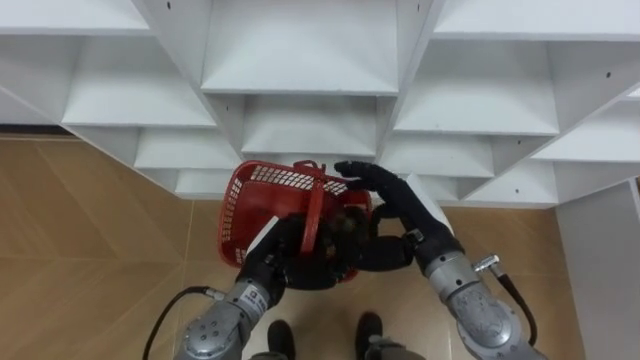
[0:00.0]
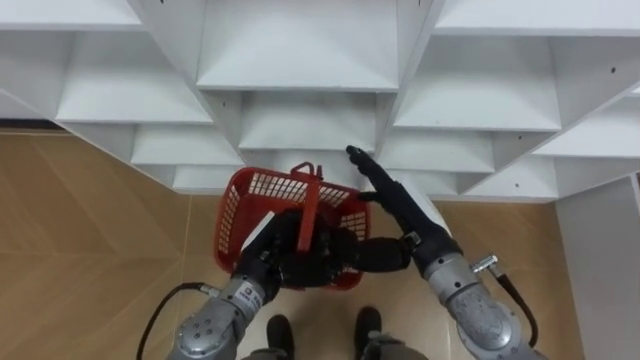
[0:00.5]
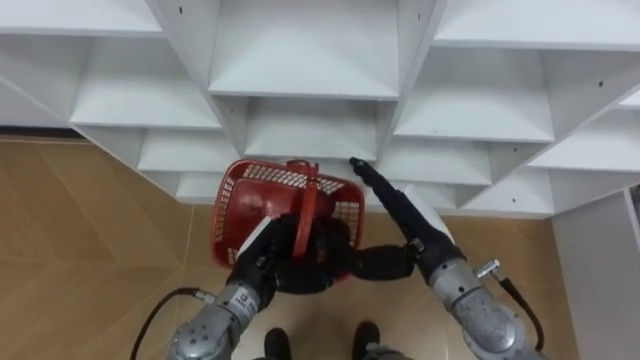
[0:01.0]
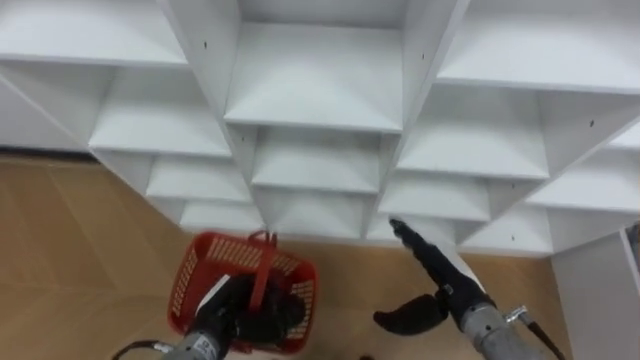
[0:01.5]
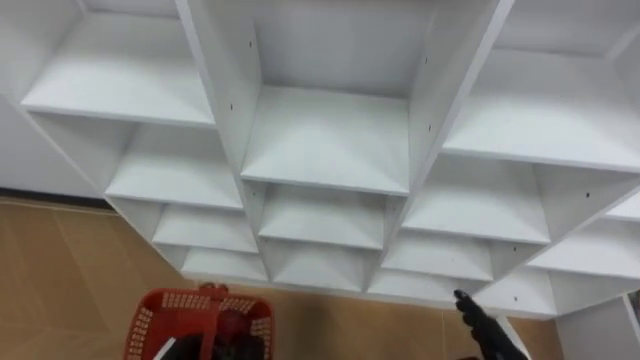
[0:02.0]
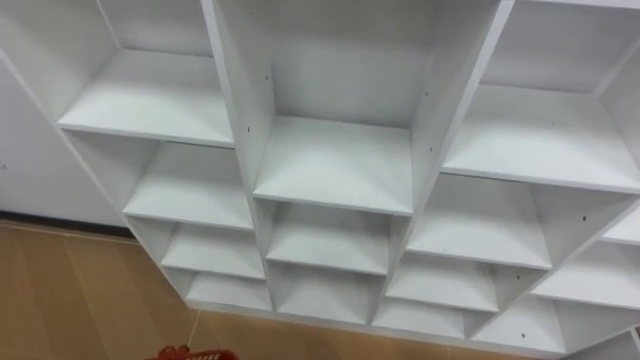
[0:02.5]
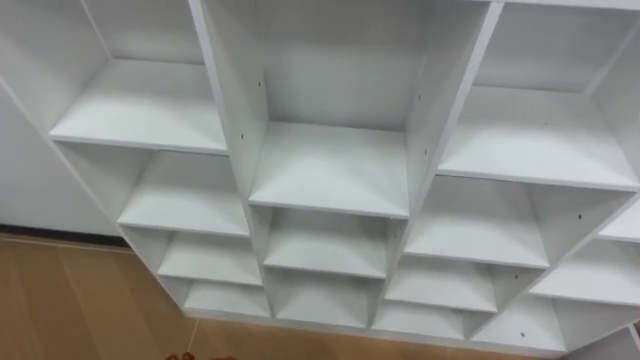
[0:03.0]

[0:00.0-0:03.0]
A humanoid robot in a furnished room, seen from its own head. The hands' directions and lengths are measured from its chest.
Task of the whole recording: Hold the basket and collect the fruits from 3 different cells of the closet into it.
0:00.0 to 0:01.5: The left hand goes approximately 10 cm to the left and downward; the right hand shifts about 10 cm downward and to the right, and opens.

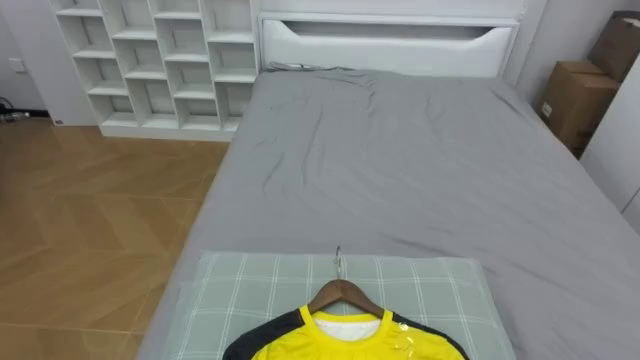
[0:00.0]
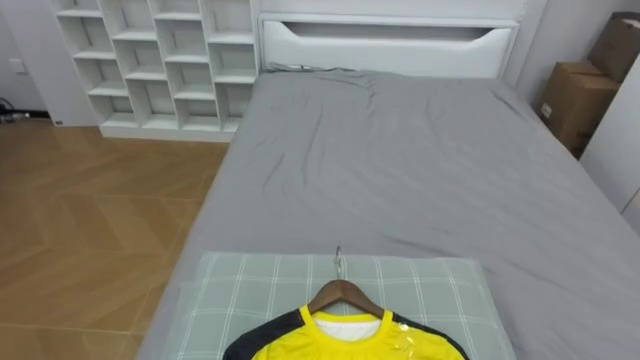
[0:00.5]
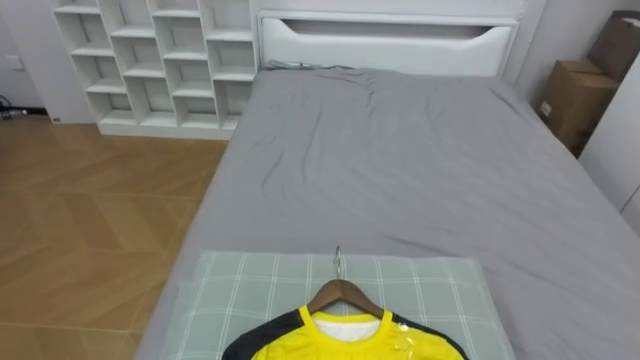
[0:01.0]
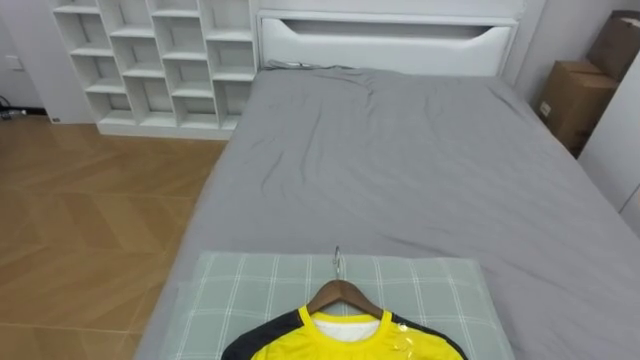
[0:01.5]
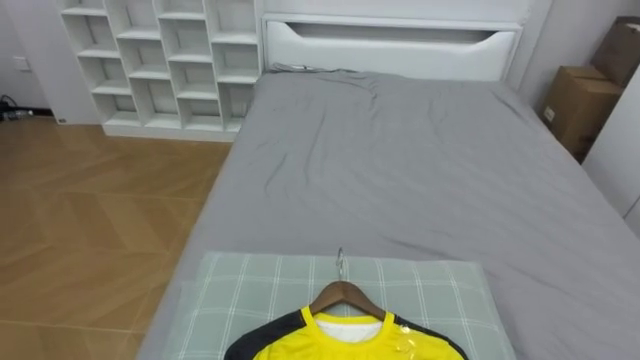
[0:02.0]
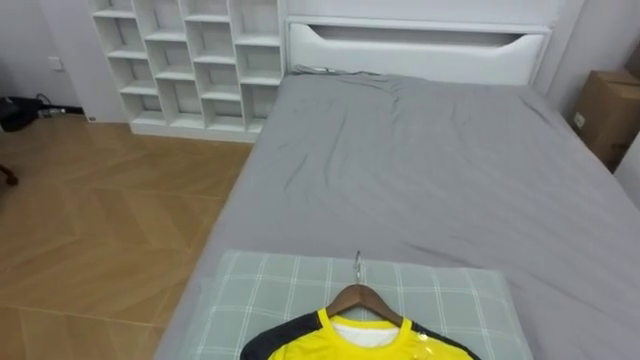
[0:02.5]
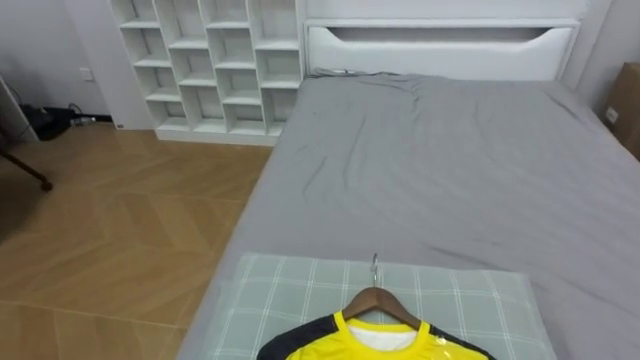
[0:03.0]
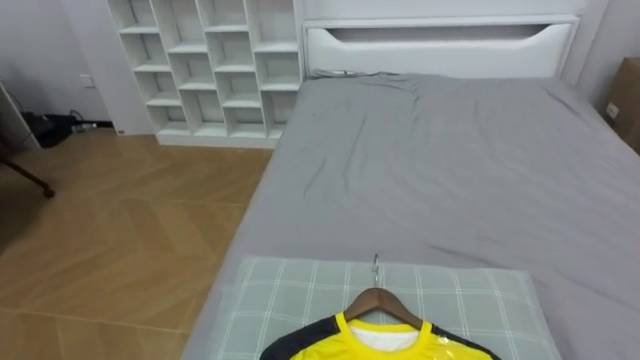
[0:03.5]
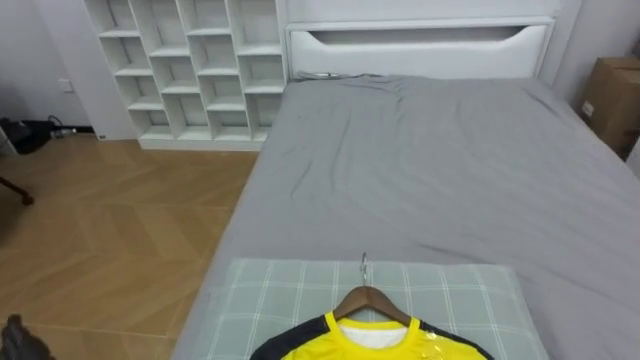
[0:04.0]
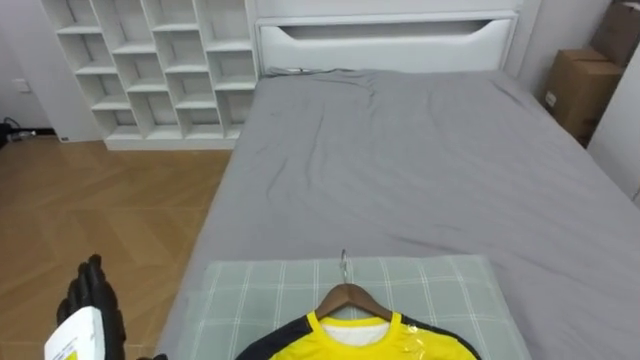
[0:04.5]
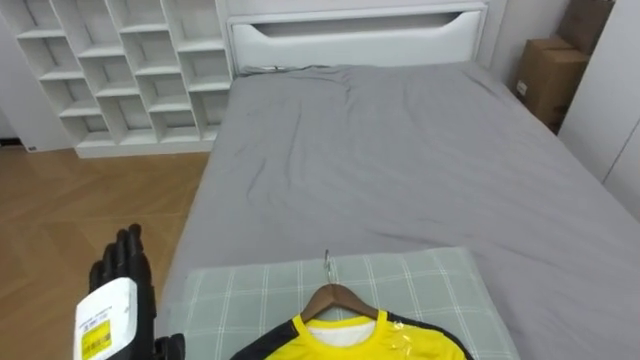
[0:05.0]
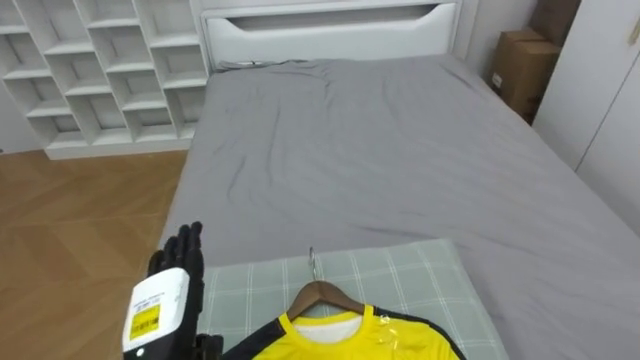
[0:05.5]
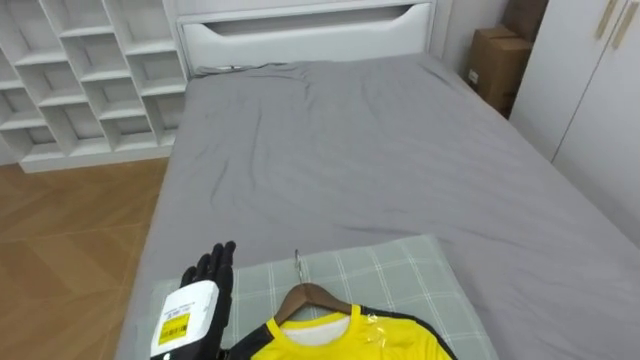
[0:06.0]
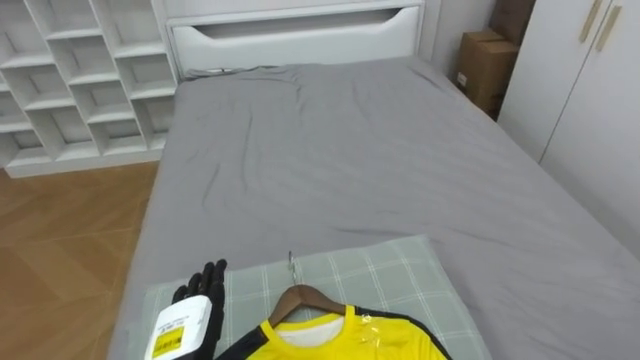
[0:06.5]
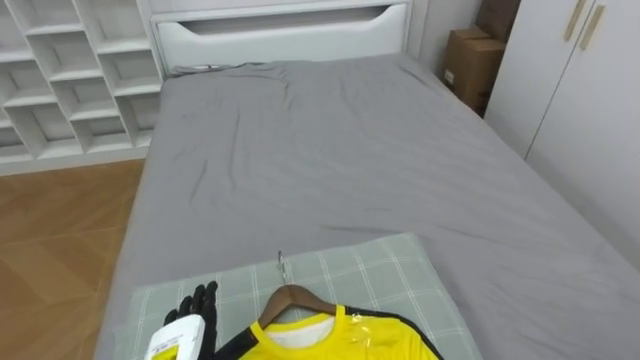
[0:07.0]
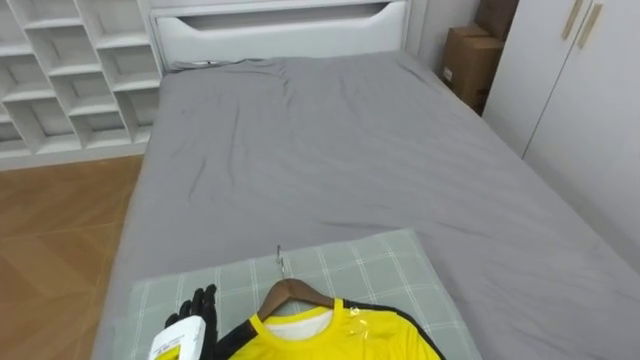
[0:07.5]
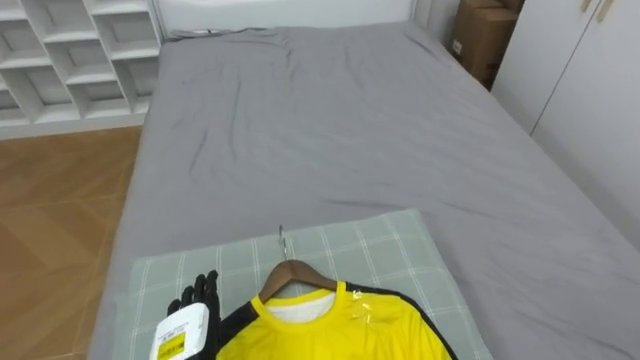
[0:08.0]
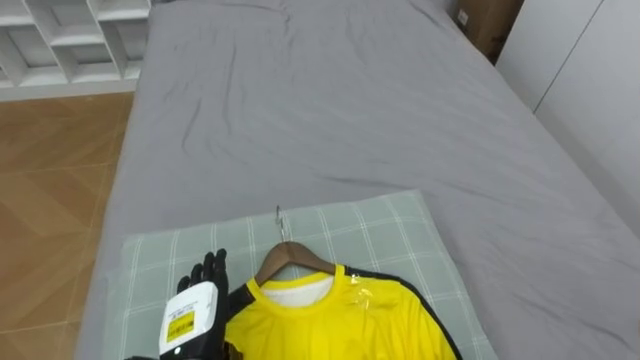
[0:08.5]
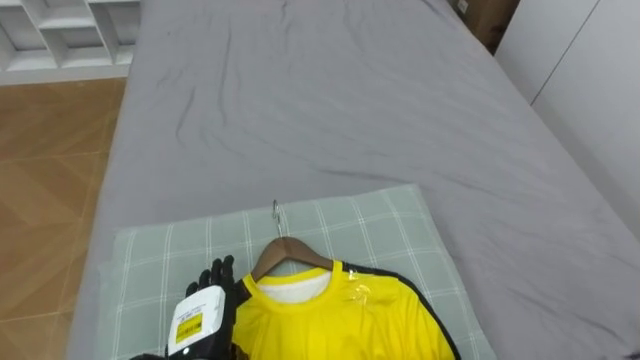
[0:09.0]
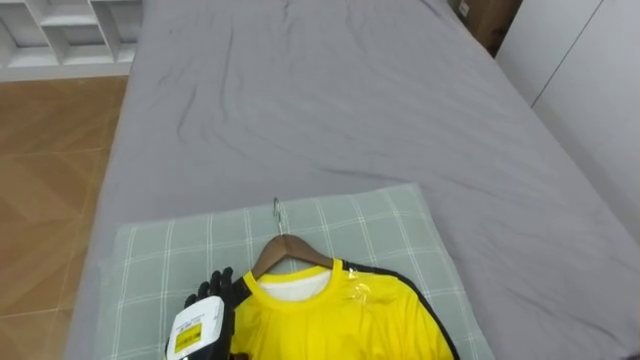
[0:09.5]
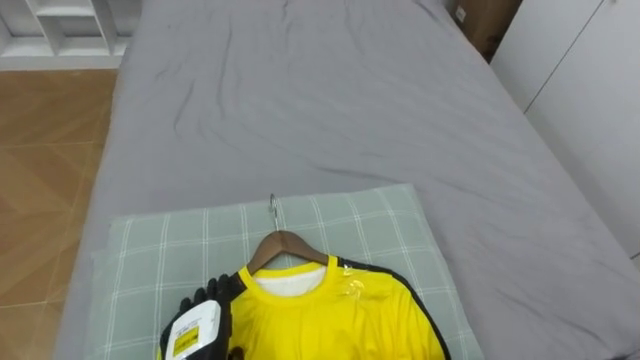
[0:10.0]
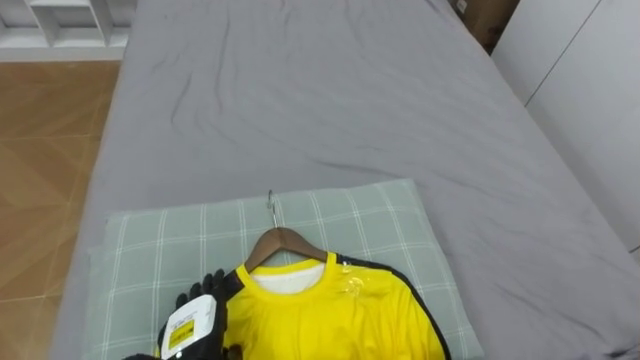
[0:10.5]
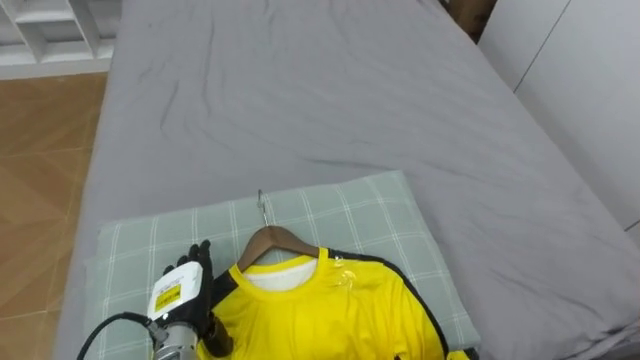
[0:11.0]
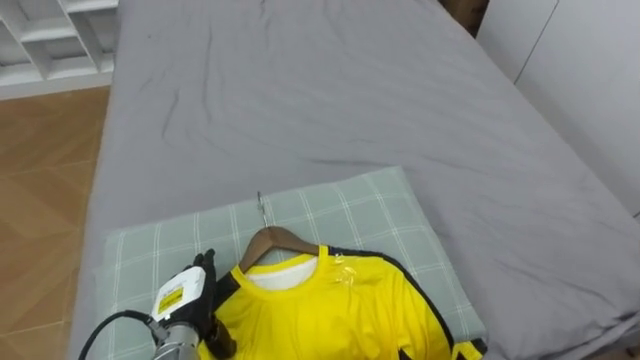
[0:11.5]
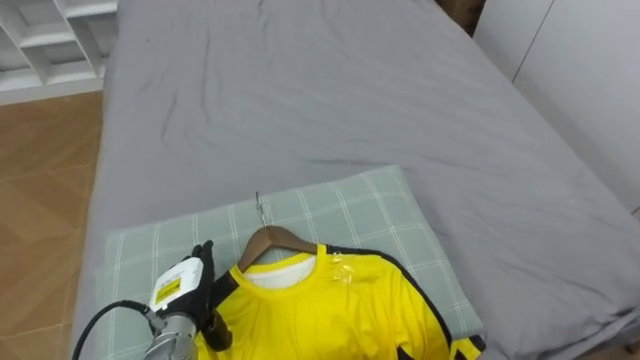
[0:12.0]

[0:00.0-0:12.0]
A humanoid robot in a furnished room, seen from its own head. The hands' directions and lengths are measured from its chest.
Task of the whole recording: Pick up the yellow shirt on the bed and hang it on the clothes rack on the right.
0:10.0 to 0:12.0: The left hand moves forward, about 5 cm.

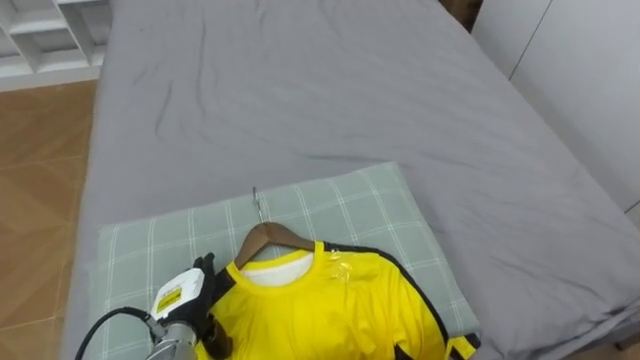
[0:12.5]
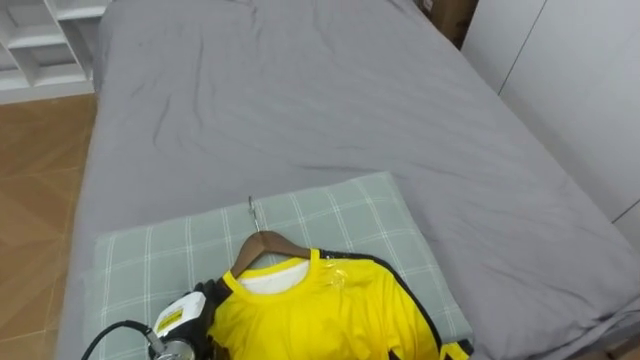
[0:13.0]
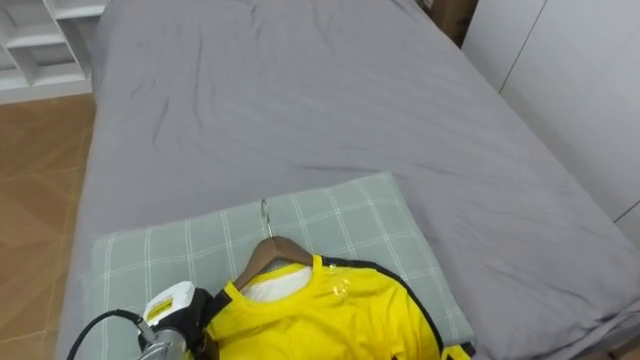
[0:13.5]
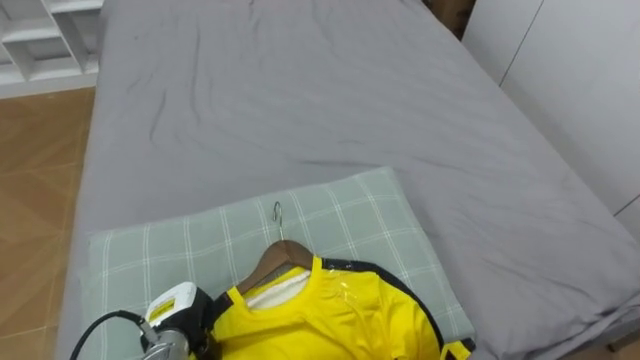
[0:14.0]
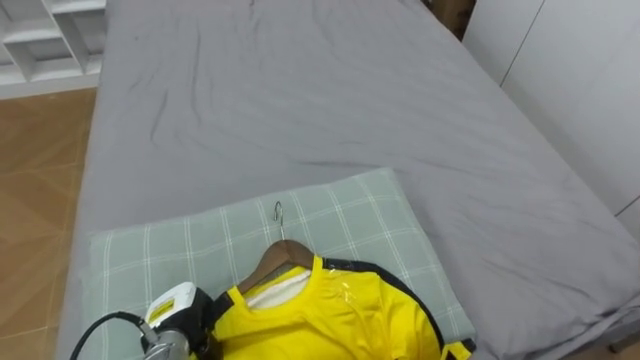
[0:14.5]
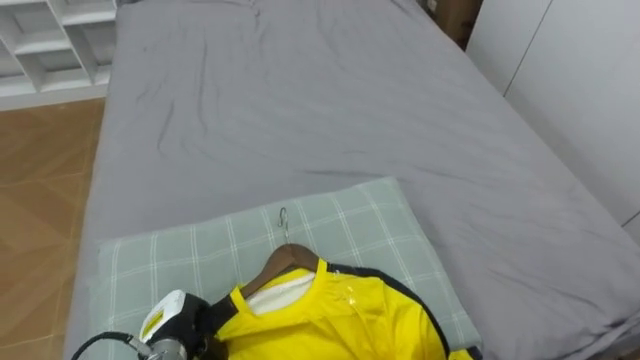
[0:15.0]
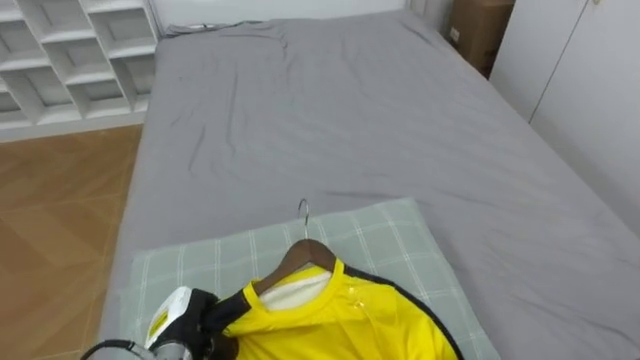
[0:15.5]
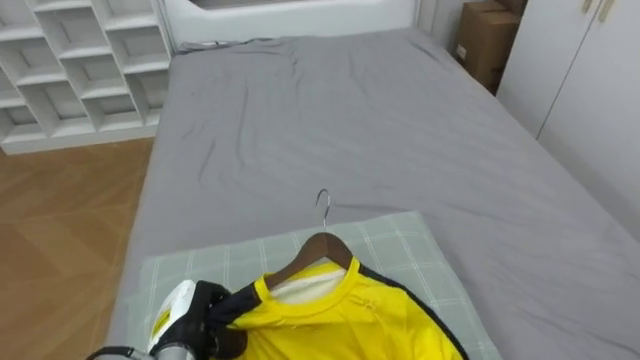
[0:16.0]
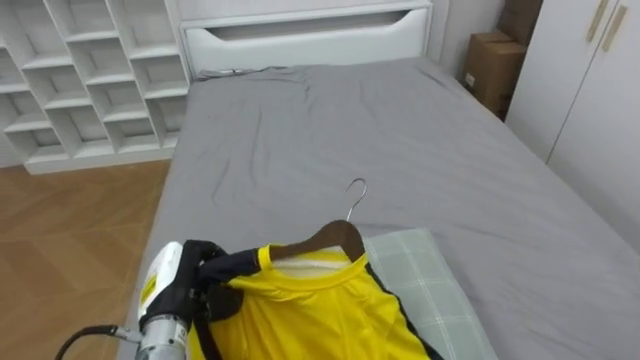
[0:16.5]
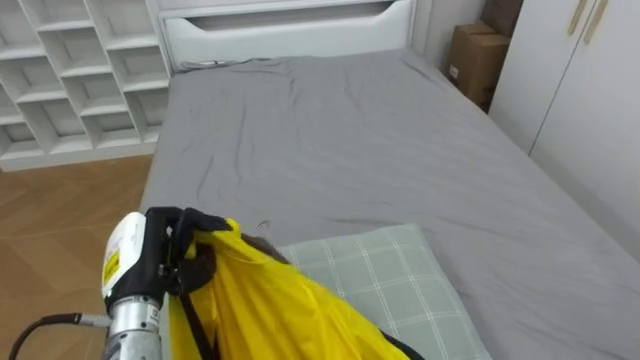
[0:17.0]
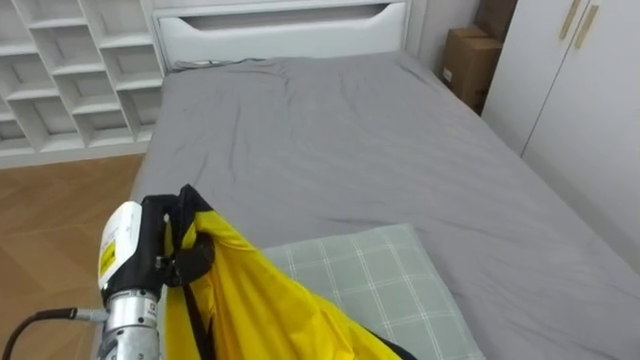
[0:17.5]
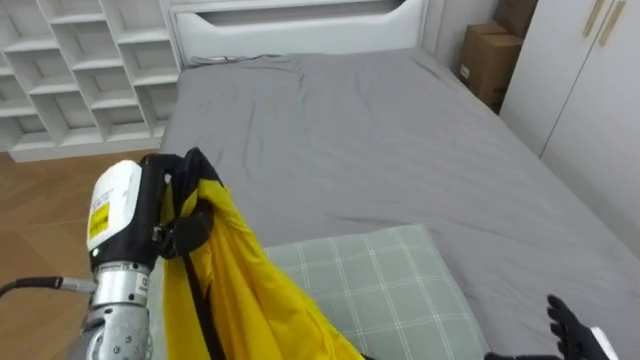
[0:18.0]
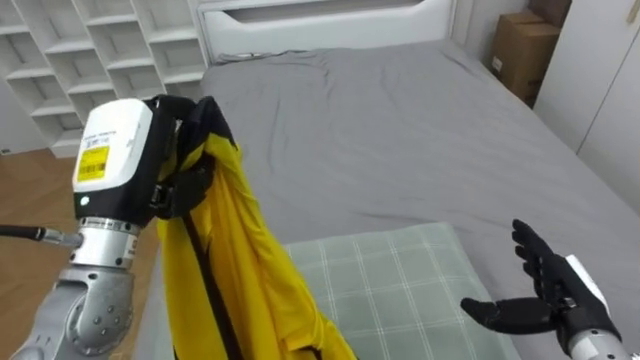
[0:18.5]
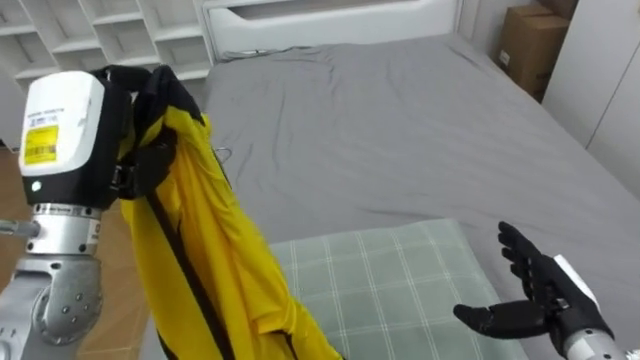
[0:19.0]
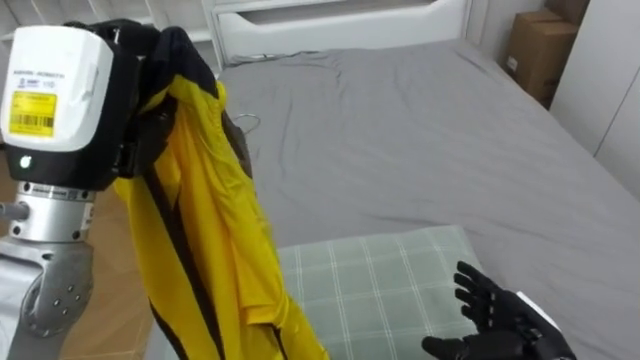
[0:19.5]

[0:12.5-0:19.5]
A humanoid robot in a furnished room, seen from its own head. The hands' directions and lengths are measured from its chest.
Task of the whole recording: Pick up the yellow shirt on the bed and hang it on the clothes rack on the right.
0:12.5 to 0:14.5: The left hand closes.
0:16.0 to 0:17.5: The left hand heads upward, covering approximately 15 cm.
0:17.5 to 0:19.5: The left hand travels upward by roughly 20 cm.
